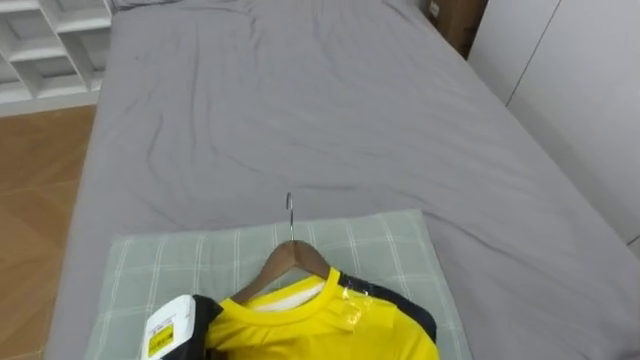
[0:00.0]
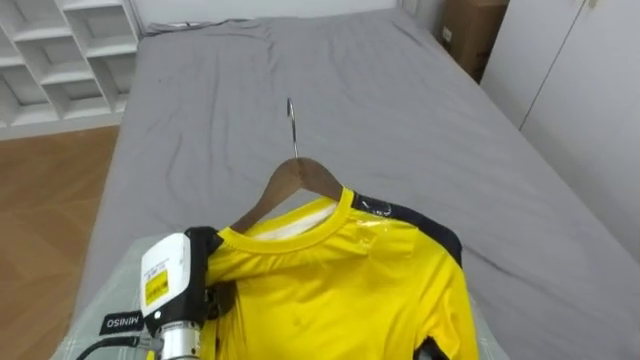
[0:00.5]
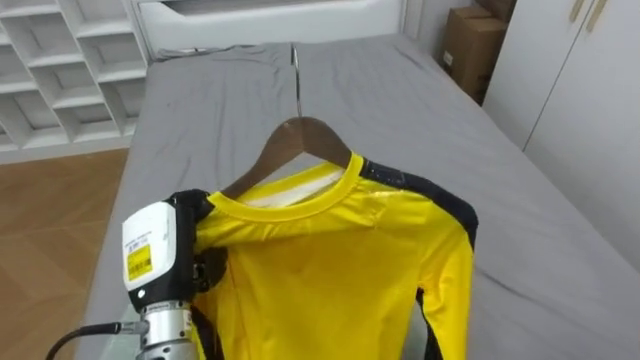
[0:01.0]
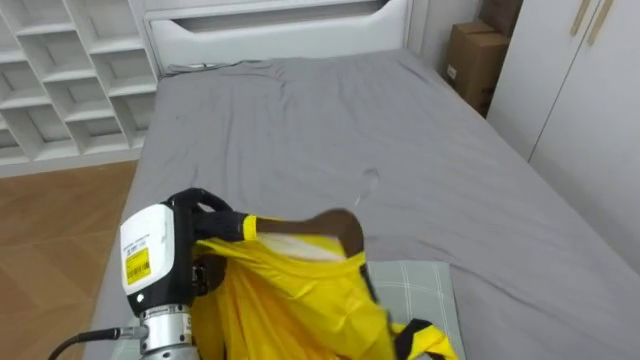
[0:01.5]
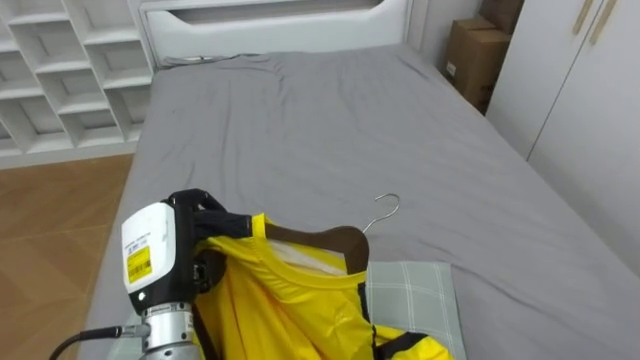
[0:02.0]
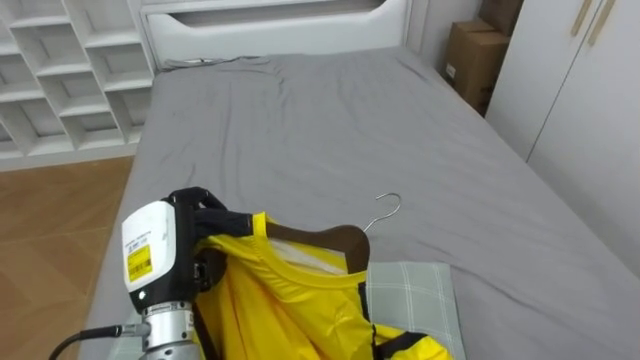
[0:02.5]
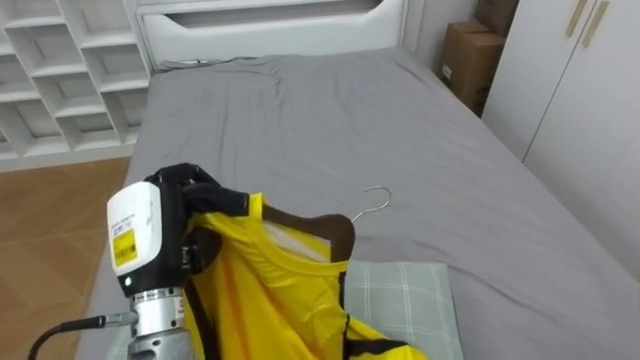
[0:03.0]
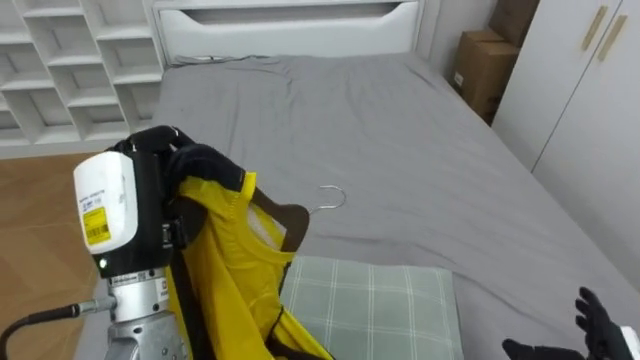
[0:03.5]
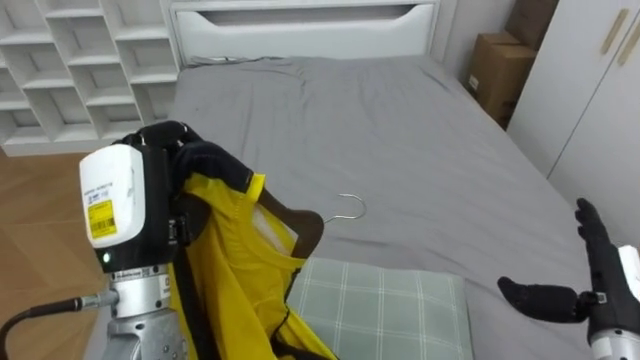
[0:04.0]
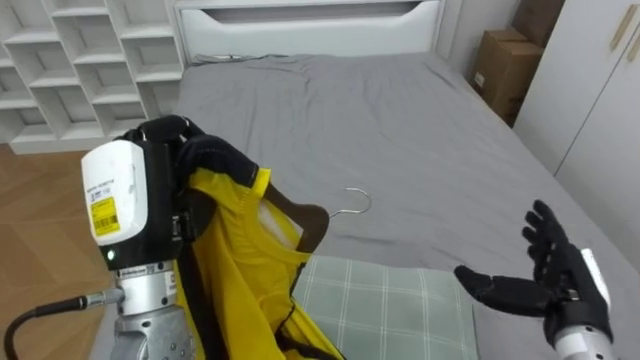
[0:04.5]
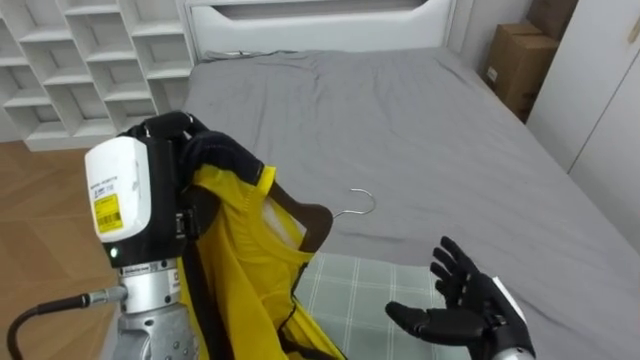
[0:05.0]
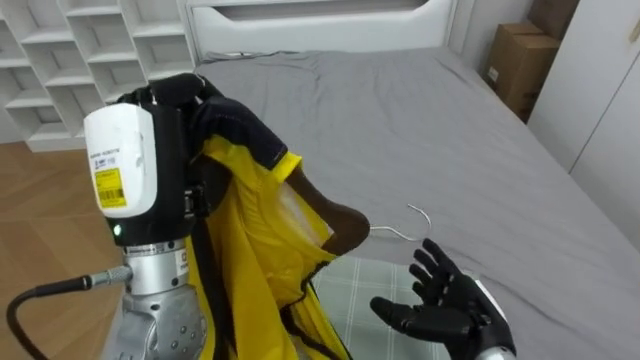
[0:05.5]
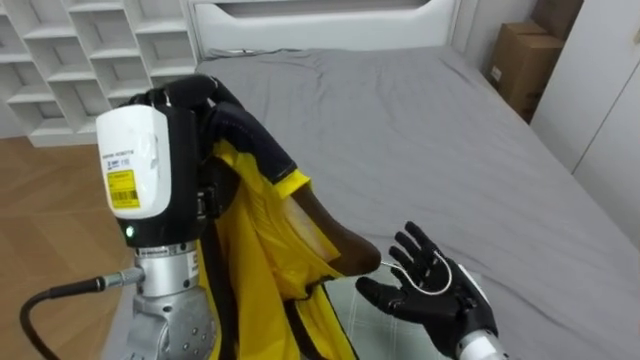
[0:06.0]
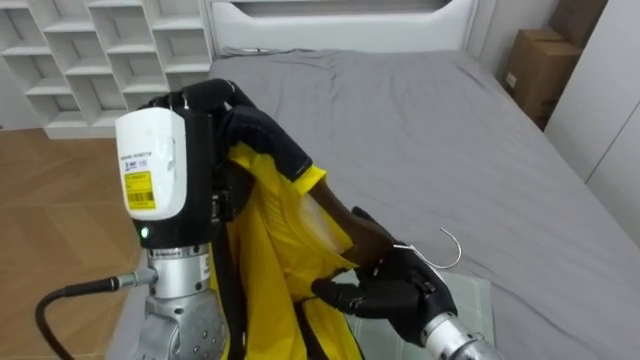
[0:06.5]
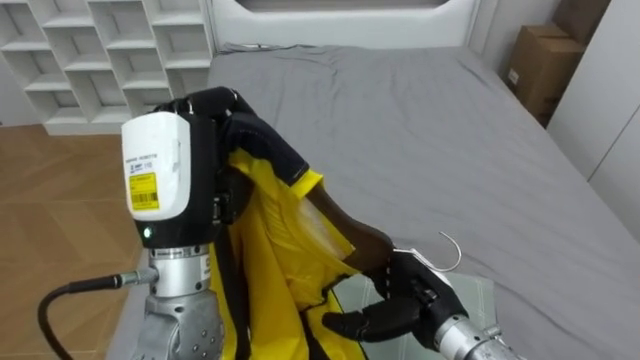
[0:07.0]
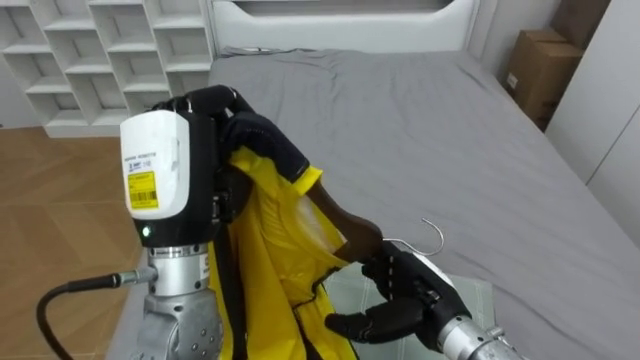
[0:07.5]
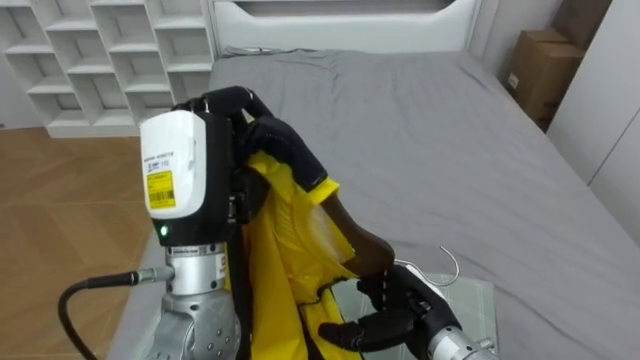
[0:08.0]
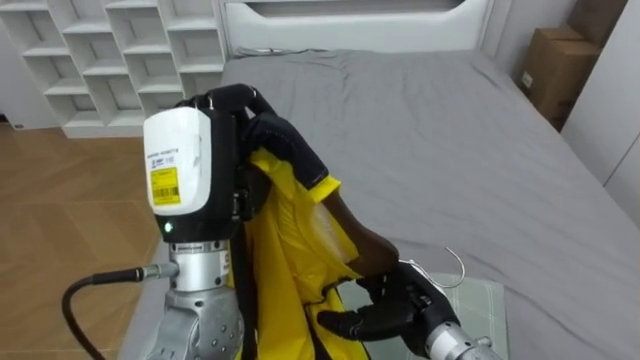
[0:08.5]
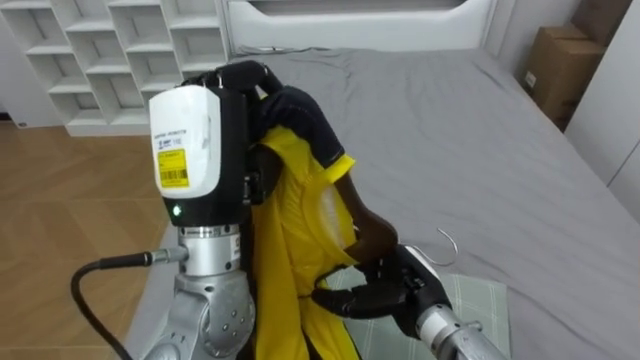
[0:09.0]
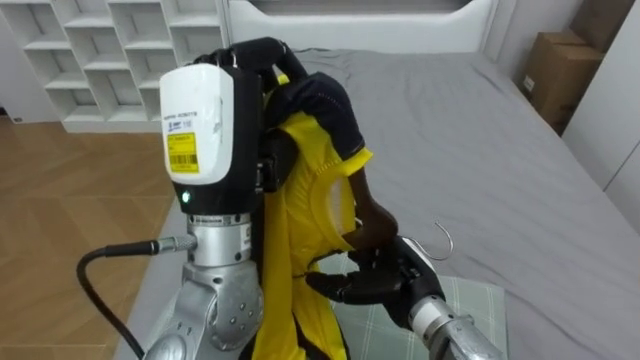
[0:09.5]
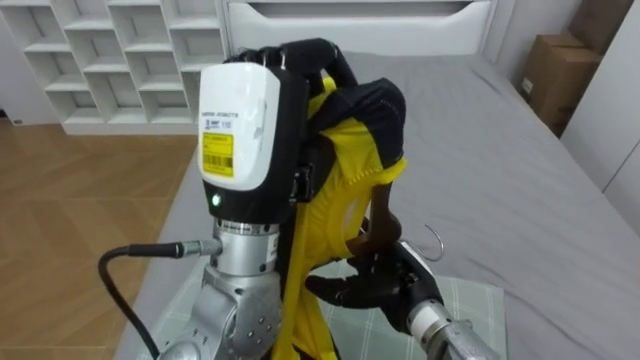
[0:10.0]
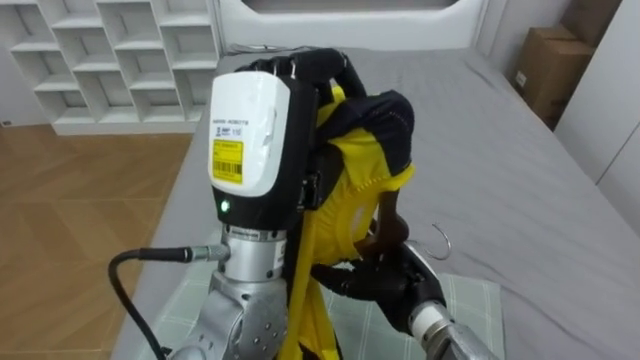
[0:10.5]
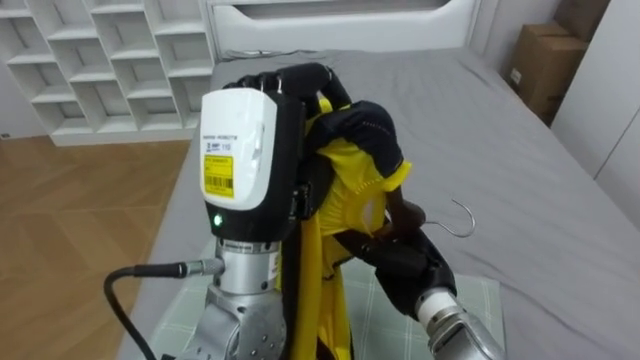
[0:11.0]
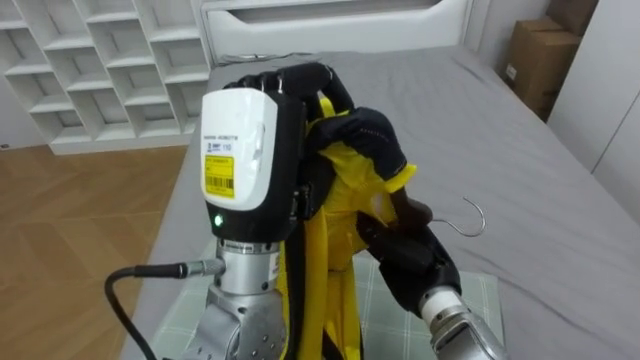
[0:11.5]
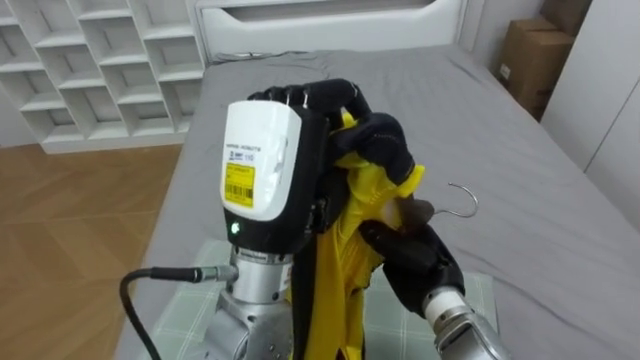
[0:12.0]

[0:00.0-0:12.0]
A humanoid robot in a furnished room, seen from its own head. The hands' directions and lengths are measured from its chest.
Task of the whole recording: Pick up the yellow shirt on the bed and hang it on the clothes rack on the right.
0:00.0 to 0:02.0: The left hand is displaced upward by about 15 cm.
0:02.0 to 0:04.0: The left hand shifts about 10 cm upward.
0:04.0 to 0:06.0: The right hand goes approximately 15 cm to the left. The left hand shifts by approximately 5 cm.
0:08.0 to 0:10.0: The left hand is displaced to the right and upward by roughly 10 cm.
0:10.0 to 0:12.0: The right hand closes its fingers.

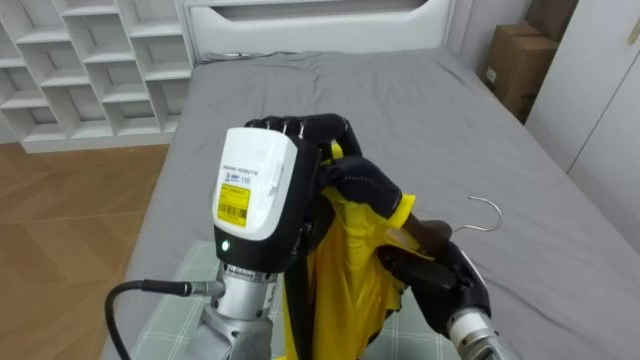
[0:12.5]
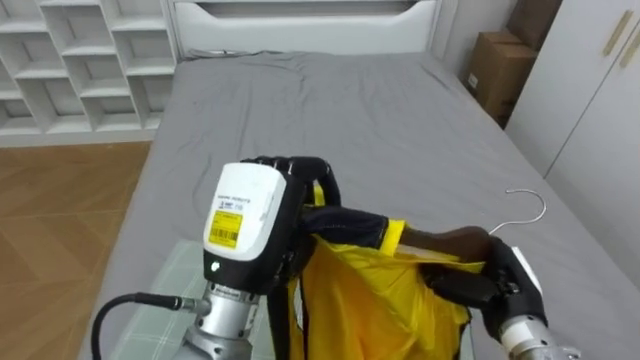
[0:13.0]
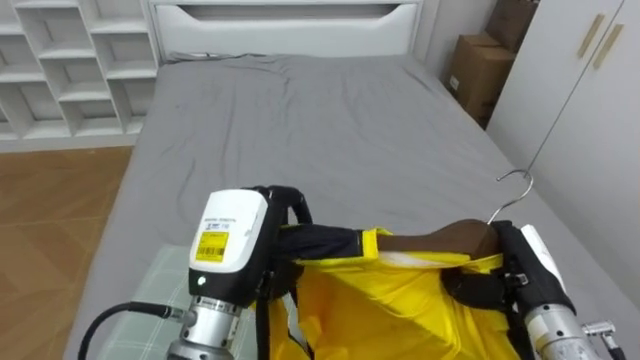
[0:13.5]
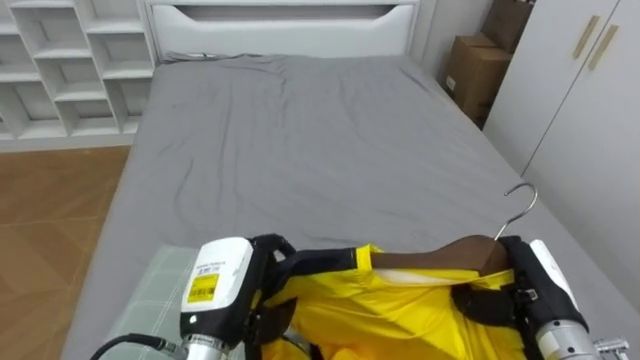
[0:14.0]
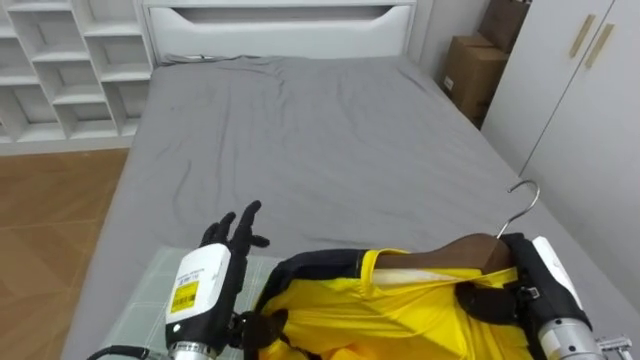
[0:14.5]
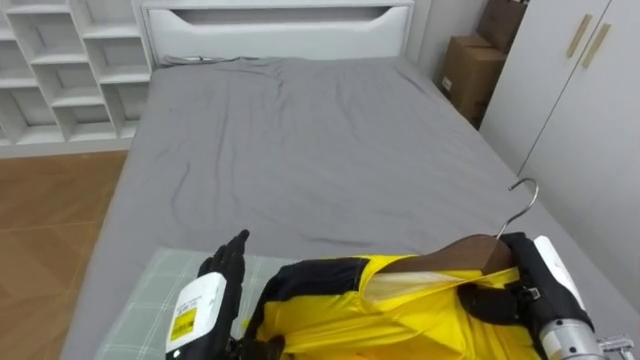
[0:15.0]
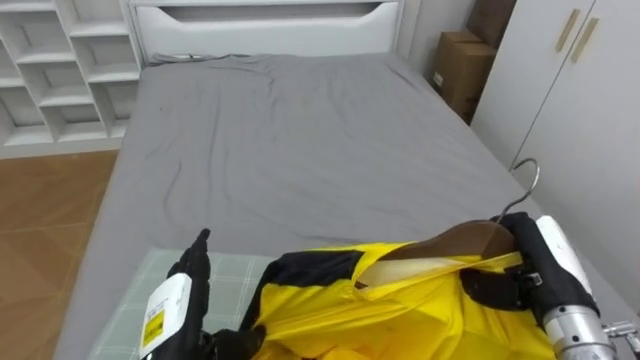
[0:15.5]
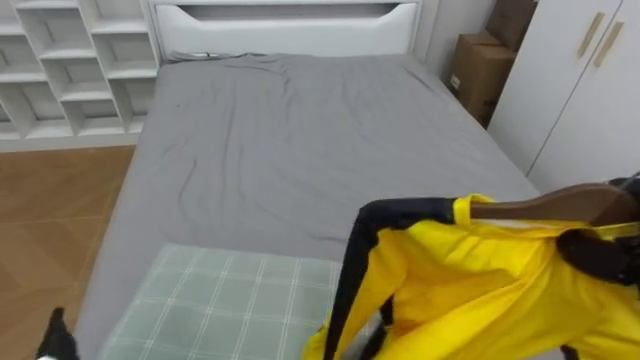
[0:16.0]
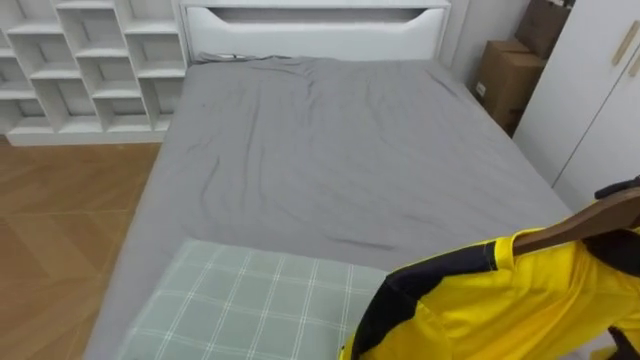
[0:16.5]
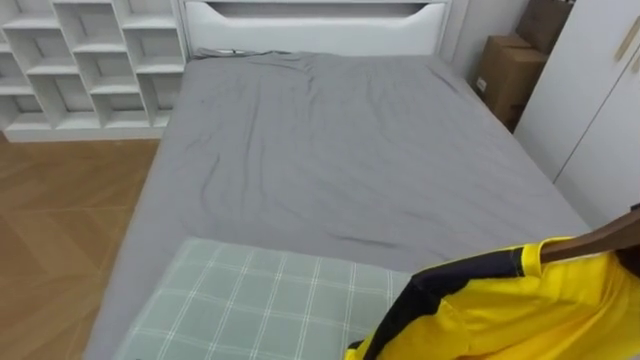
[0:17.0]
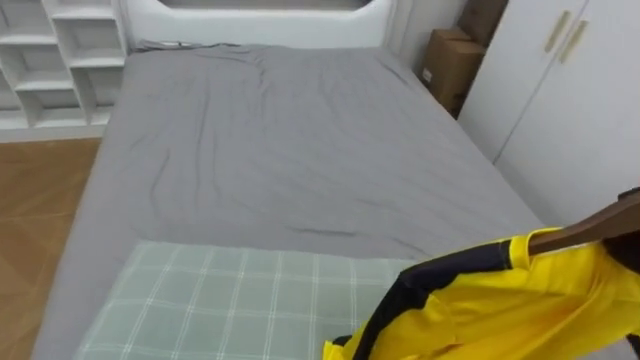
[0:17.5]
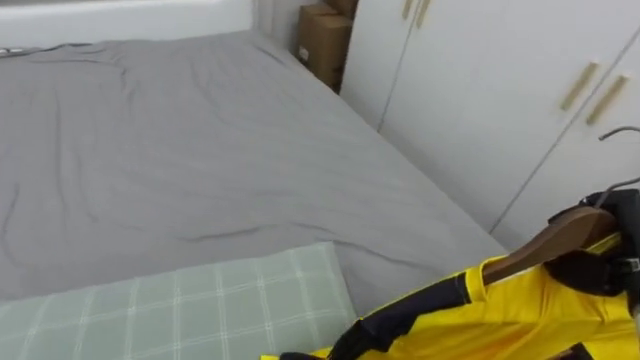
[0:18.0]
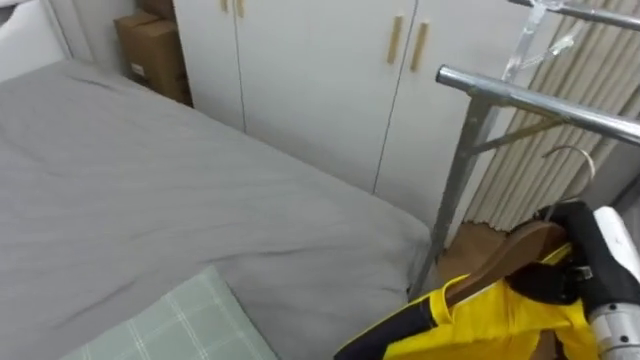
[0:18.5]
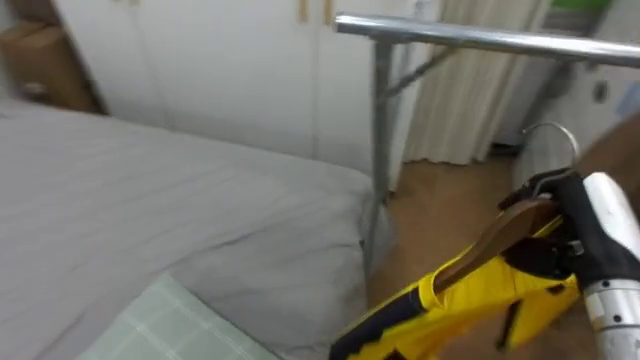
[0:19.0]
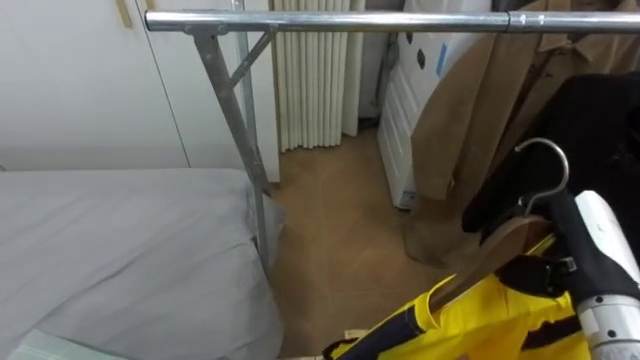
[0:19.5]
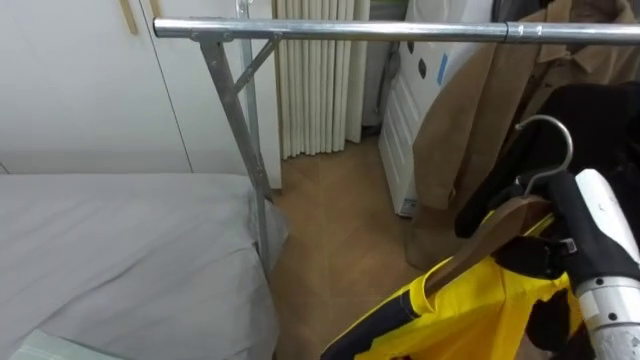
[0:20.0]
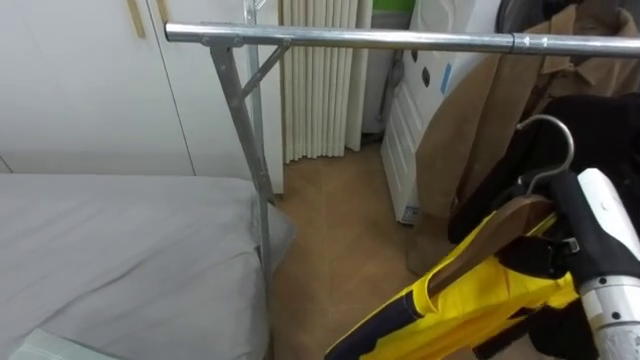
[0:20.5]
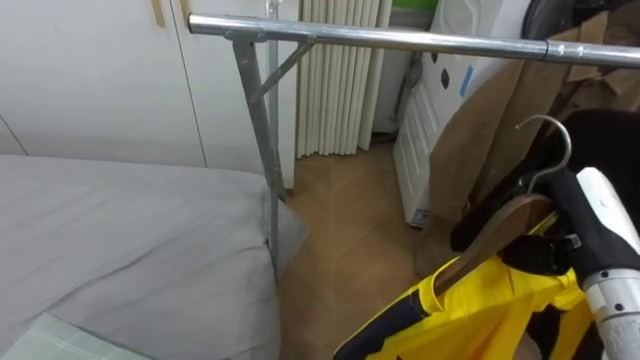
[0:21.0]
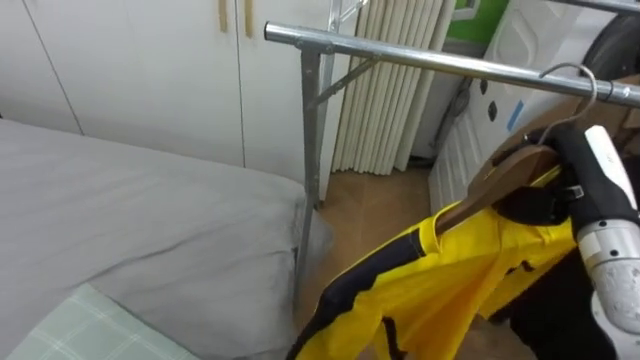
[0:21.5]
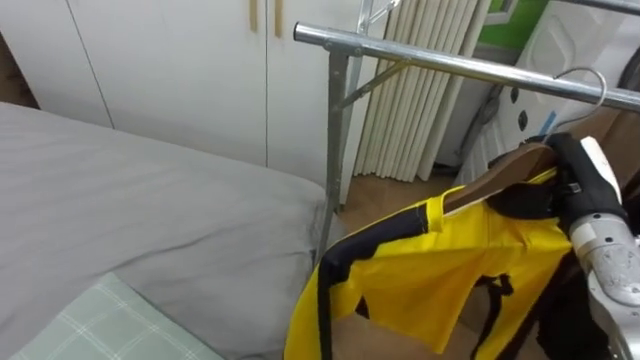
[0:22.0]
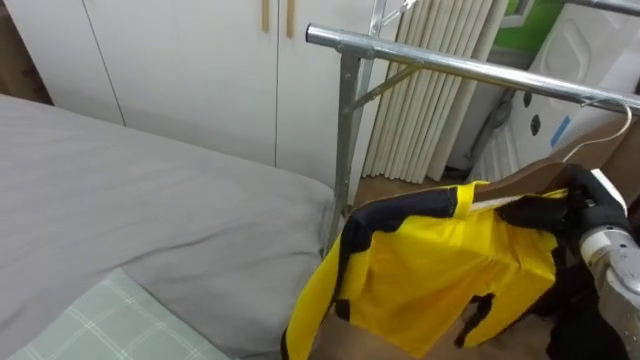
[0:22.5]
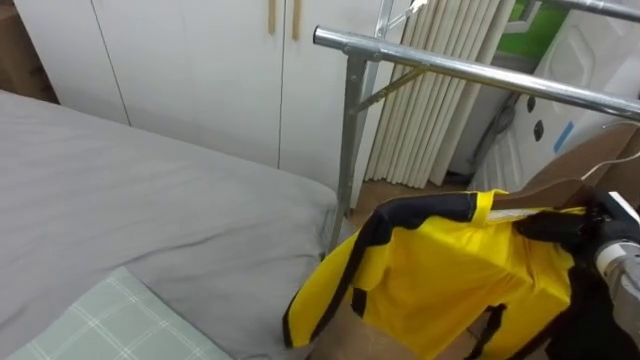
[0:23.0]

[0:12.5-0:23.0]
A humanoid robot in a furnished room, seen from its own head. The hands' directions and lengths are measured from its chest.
Task of the whole recording: Pick up the yellow shirt on the bed and hang it on the clothes rack on the right.
0:12.5 to 0:14.5: The right hand travels to the right by approximately 10 cm; the left hand moves downward and to the left, about 20 cm, and opens.
0:16.5 to 0:19.0: The robot rotates roughly 70 degrees to its right.
0:19.0 to 0:21.0: The robot's body swings approximately 20 degrees to its right.
0:21.0 to 0:23.0: The right hand goes some 10 cm downward, to the right and forward.
